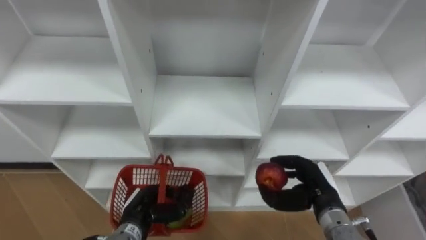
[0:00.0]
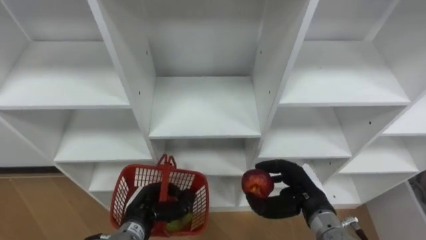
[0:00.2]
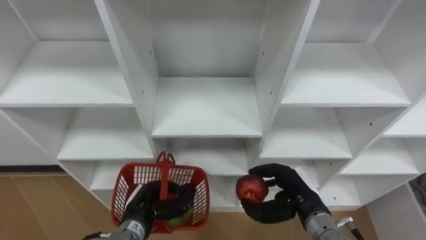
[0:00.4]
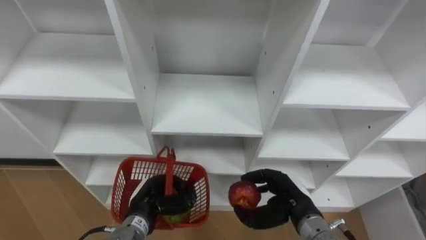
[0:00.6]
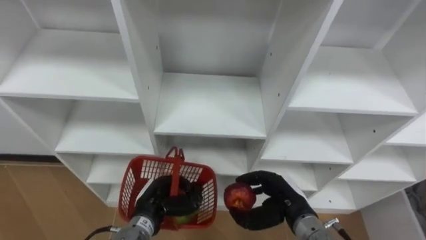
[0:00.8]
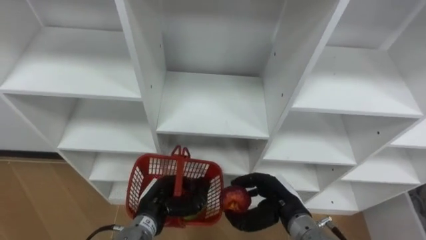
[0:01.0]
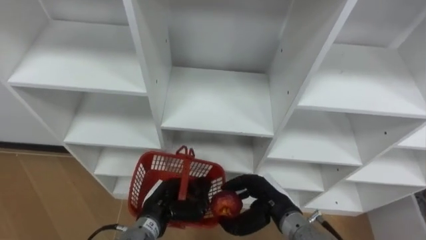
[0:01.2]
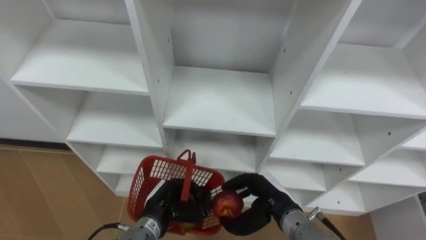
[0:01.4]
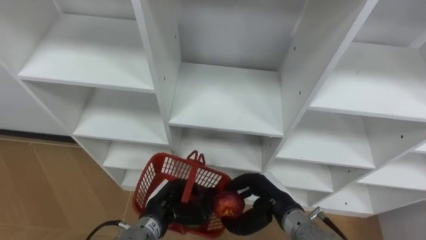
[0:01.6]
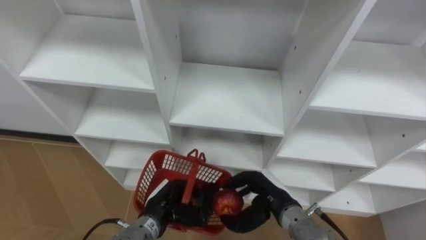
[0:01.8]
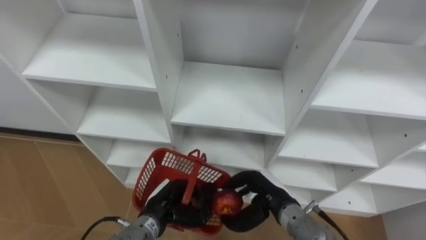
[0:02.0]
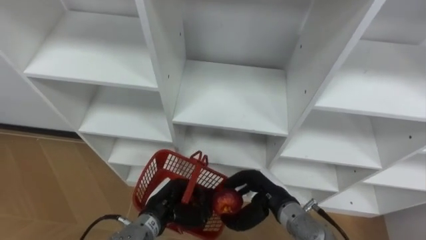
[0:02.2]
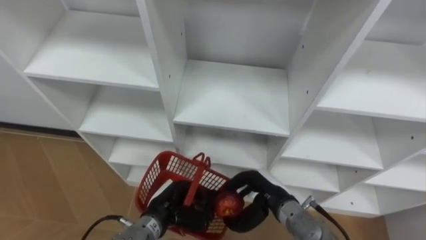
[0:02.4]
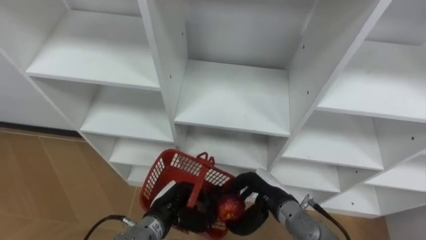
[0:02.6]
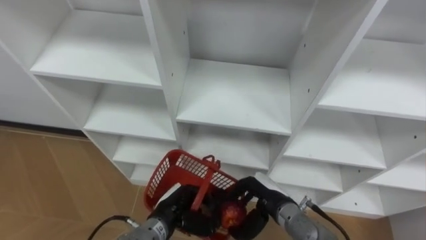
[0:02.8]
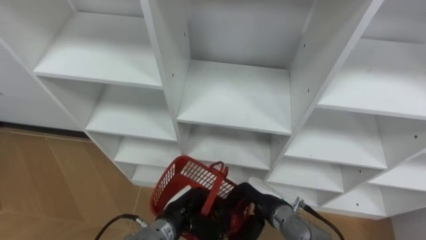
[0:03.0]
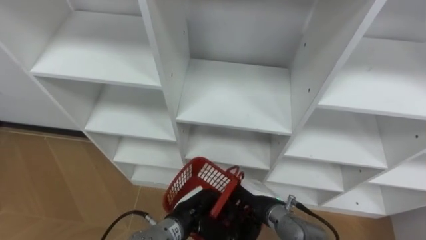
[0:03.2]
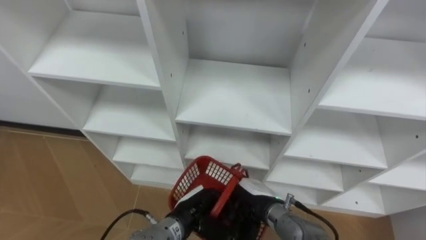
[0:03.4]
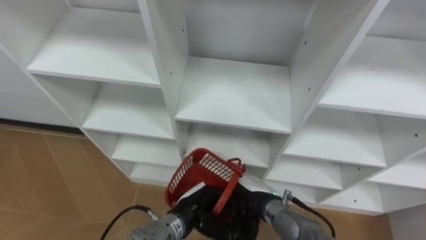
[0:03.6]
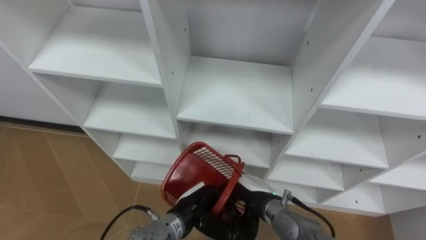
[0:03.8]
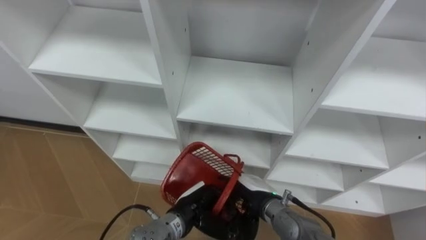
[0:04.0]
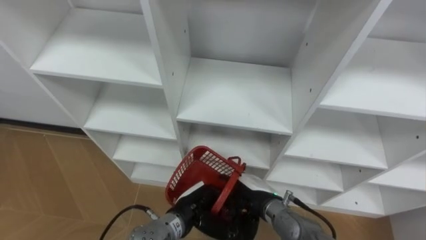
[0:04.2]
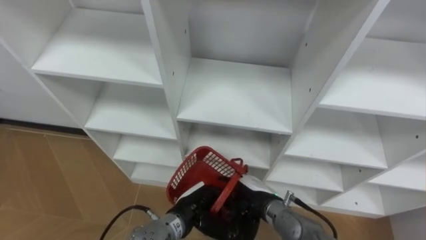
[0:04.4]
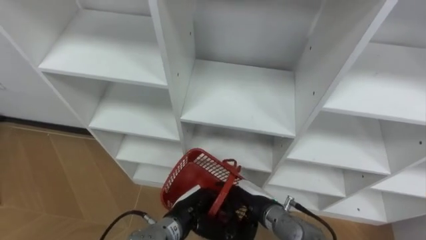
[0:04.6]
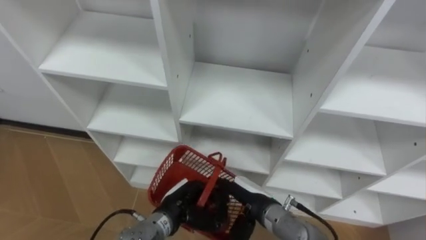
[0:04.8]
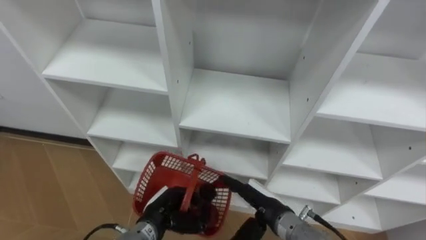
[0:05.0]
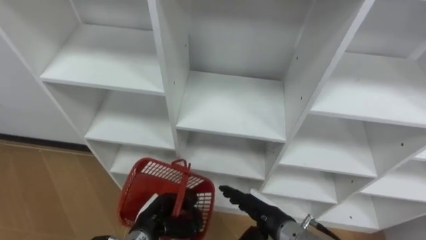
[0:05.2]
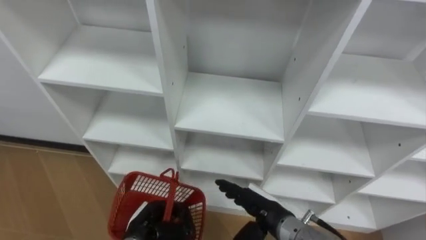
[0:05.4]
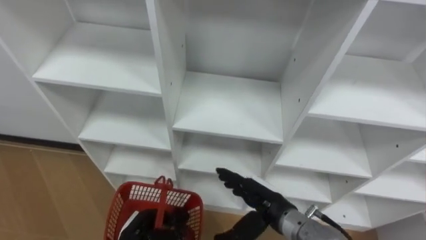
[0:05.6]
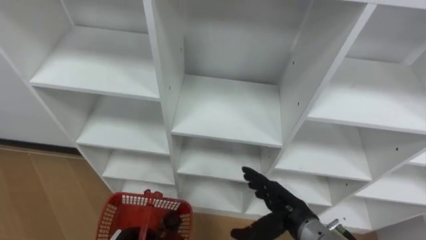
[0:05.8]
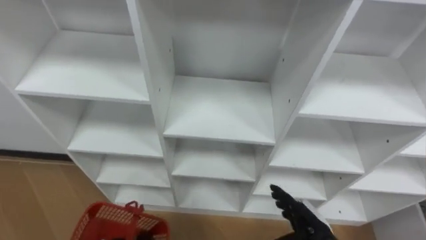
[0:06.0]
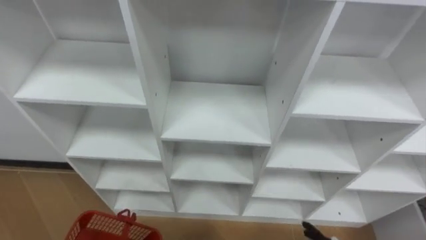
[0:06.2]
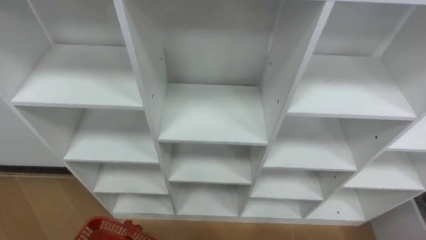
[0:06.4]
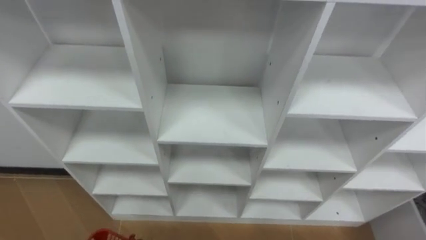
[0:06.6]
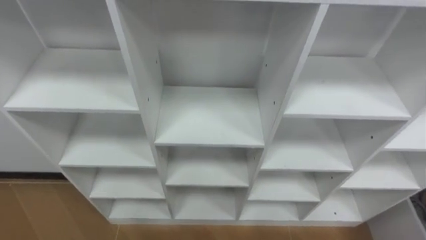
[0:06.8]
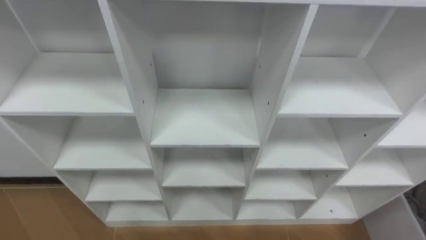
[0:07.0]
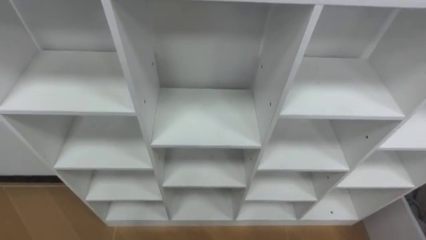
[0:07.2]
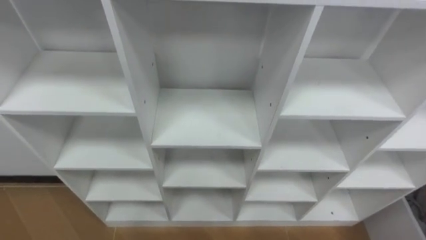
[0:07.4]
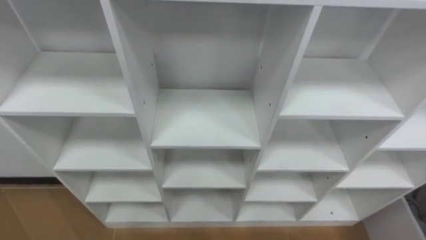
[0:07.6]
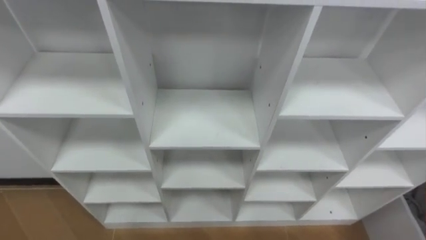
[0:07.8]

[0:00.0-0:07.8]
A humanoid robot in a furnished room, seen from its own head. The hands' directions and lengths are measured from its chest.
Task of the whole recording: Hold the basket and collect the fruits from 3 different cells of the closet into it.
0:00.0 to 0:01.6: The left hand travels to the right by roughly 5 cm. The right hand heads to the left, covering roughly 10 cm.
0:01.6 to 0:03.2: The left hand moves to the right, roughly 5 cm.
0:03.2 to 0:04.6: The right hand opens.

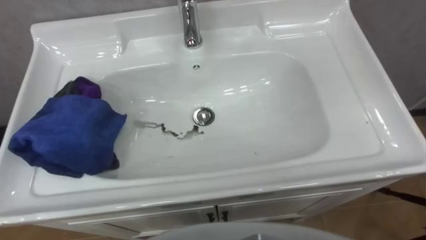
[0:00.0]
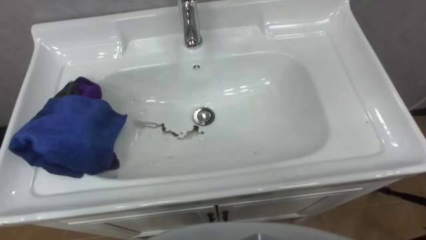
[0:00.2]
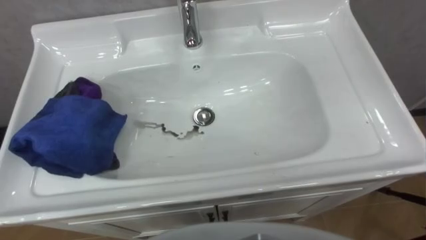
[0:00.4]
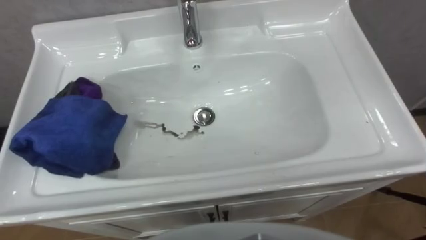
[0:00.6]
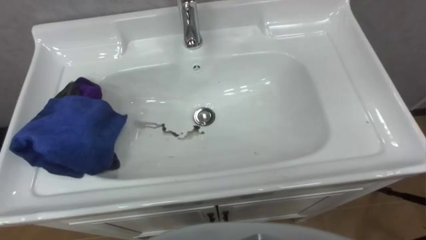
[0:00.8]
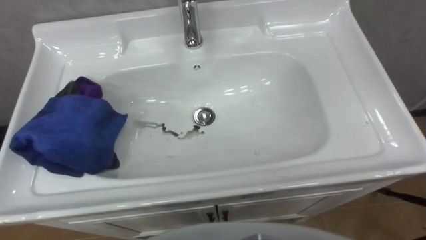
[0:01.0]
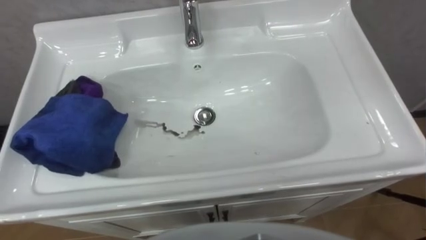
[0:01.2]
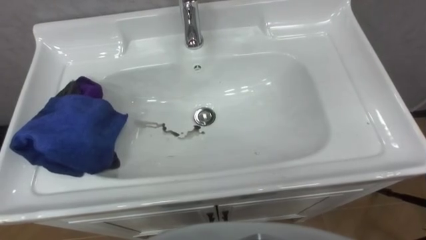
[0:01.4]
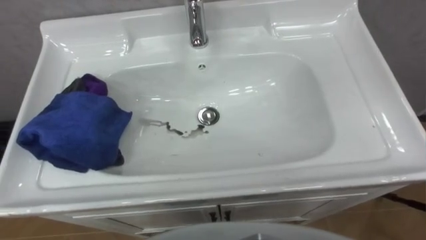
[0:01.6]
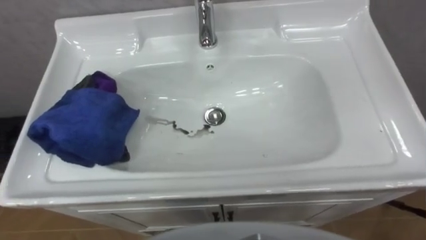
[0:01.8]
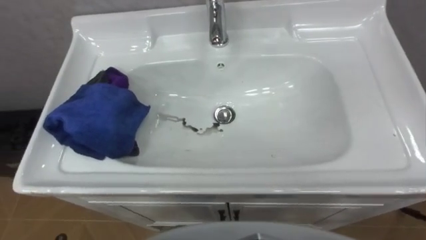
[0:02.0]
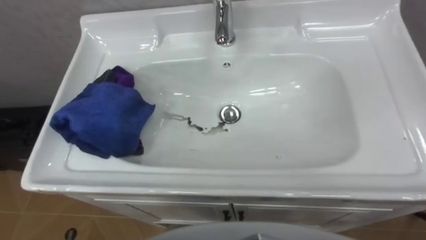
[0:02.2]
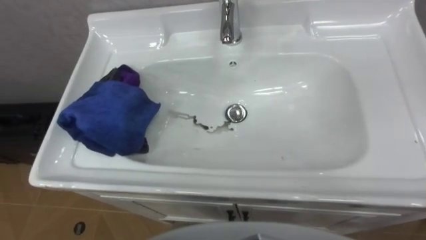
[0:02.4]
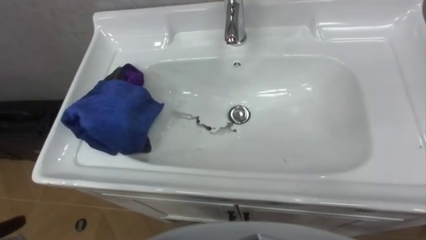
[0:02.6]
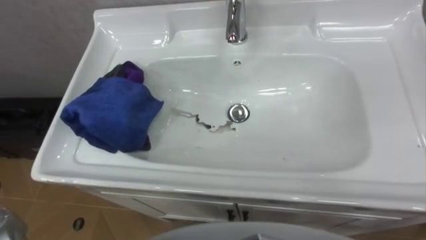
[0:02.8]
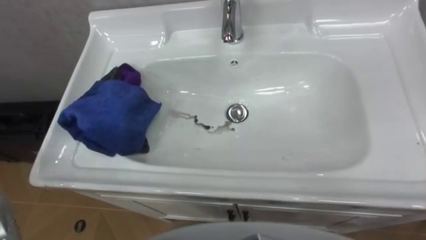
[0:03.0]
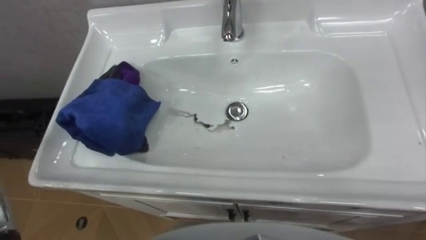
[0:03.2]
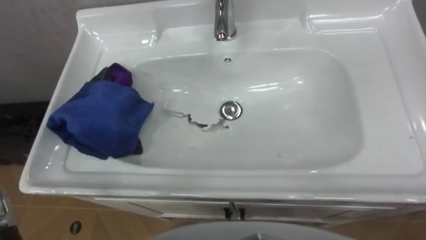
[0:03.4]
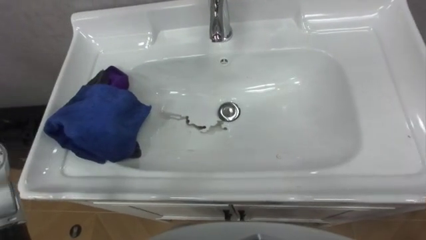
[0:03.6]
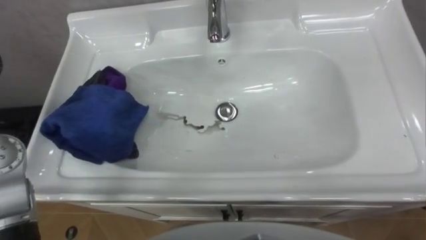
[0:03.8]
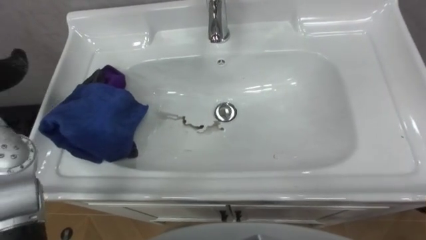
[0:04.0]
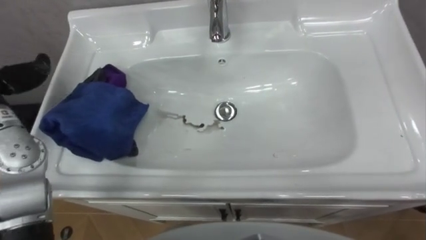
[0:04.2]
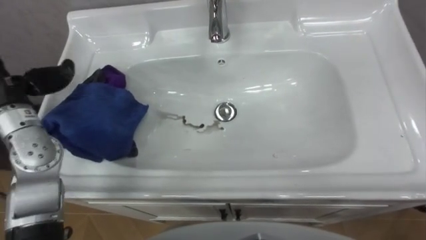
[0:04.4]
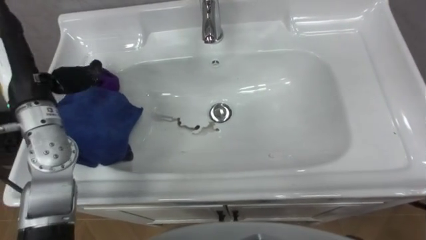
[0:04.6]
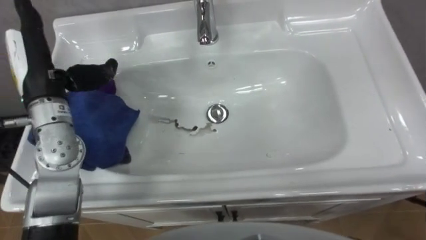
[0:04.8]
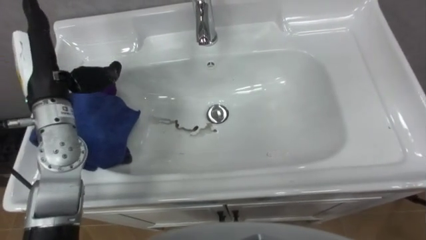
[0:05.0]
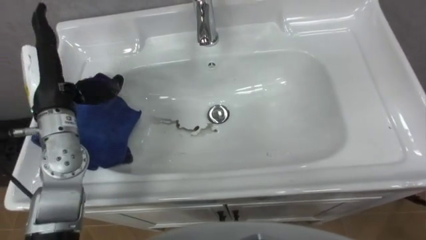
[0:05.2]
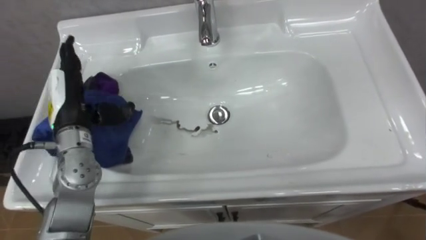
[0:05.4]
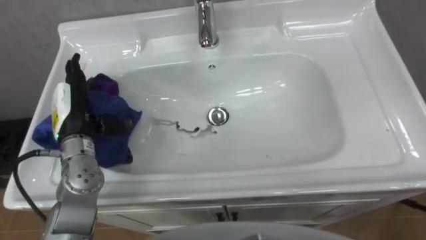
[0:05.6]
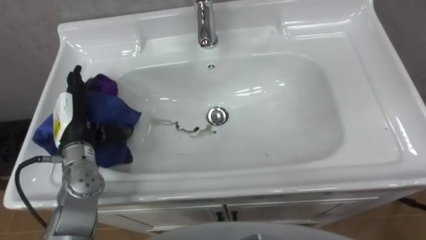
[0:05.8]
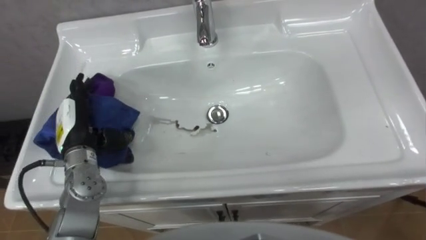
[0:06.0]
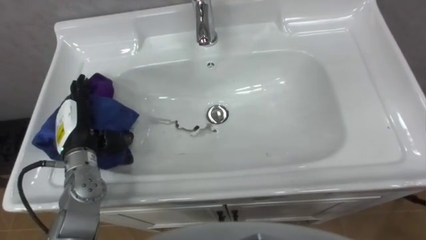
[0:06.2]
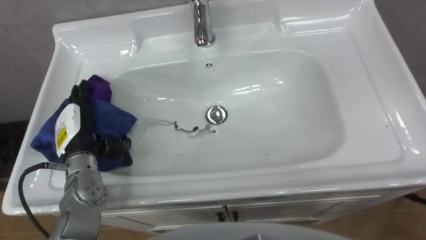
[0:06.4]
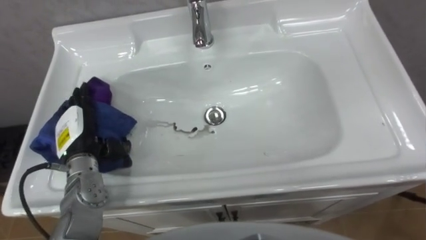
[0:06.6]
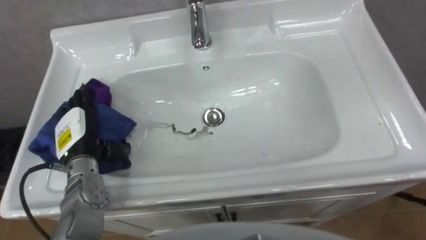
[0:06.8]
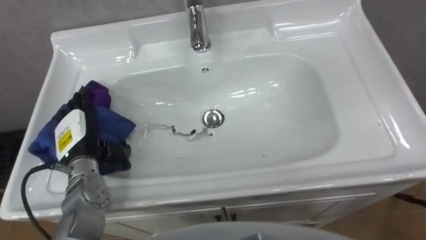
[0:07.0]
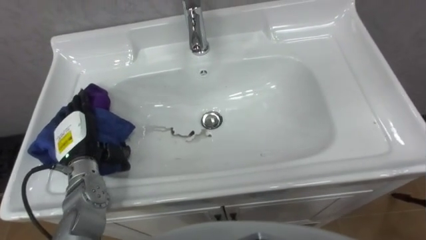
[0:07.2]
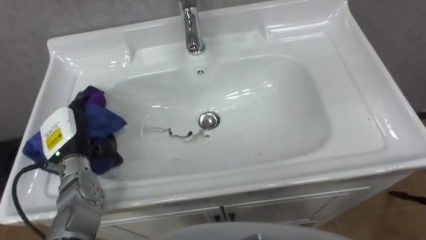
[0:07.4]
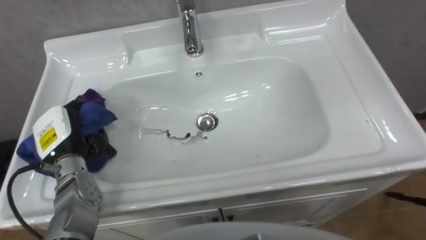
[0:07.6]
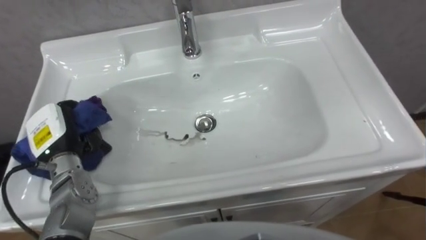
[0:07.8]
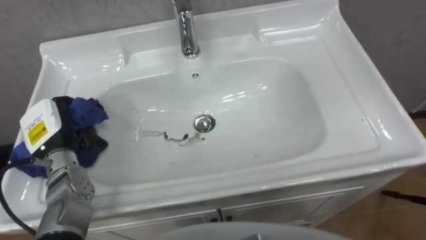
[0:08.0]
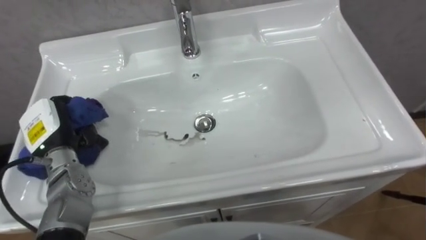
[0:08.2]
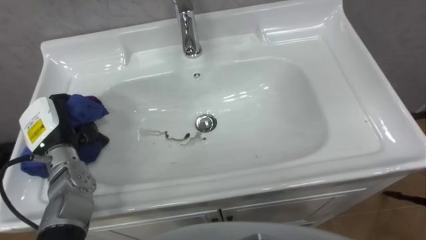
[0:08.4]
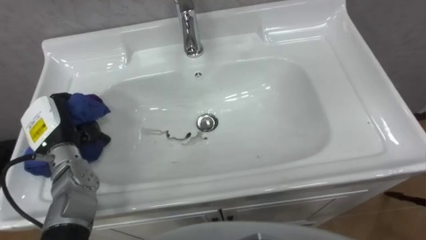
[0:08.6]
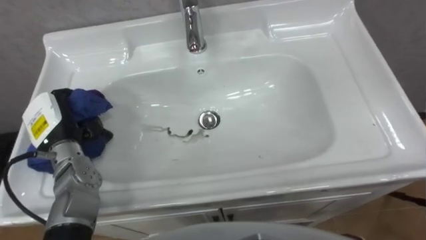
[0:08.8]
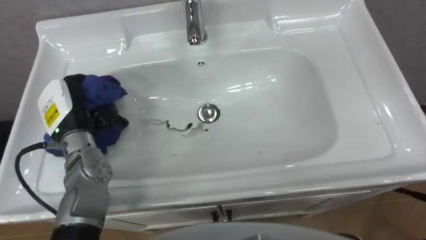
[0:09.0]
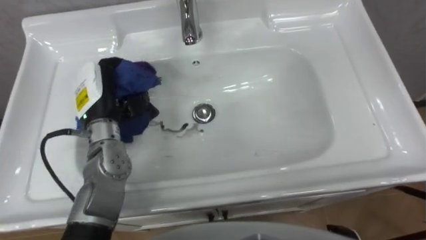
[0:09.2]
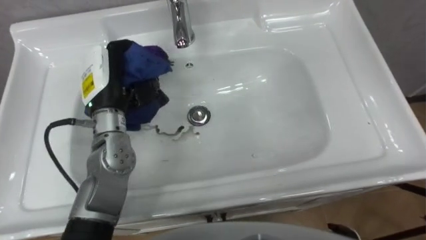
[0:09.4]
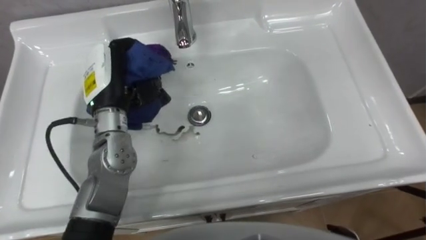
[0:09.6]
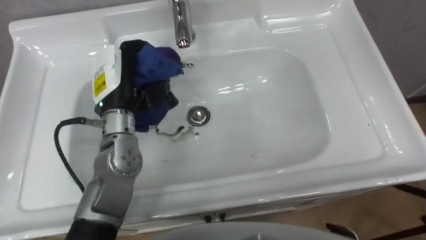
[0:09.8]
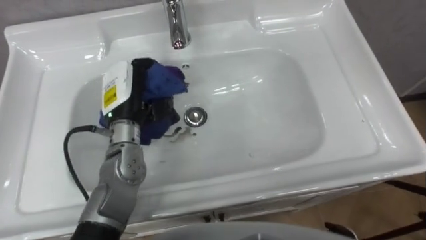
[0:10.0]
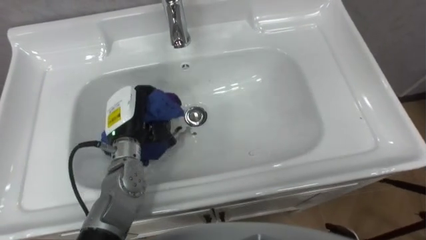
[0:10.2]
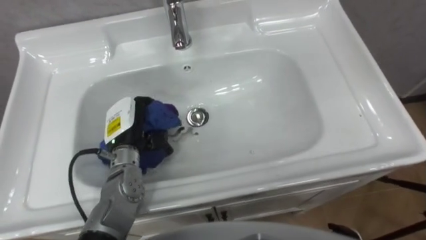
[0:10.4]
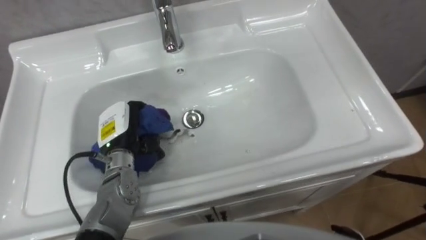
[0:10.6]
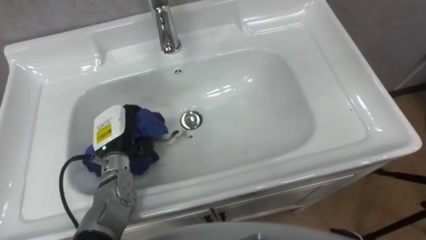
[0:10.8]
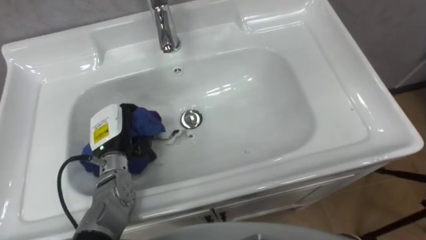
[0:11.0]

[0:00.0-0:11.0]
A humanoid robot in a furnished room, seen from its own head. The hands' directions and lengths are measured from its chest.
Task of the whole recording: Use the cloth on the right to wipe away the black stain in the sink.
0:04.8 to 0:06.2: The left hand shifts some 15 cm downward.
0:06.2 to 0:07.8: The left hand closes its fingers.
0:07.8 to 0:09.4: The left hand is displaced to the right, upward and forward by roughly 15 cm.
0:09.4 to 0:11.0: The left hand goes about 10 cm downward.
